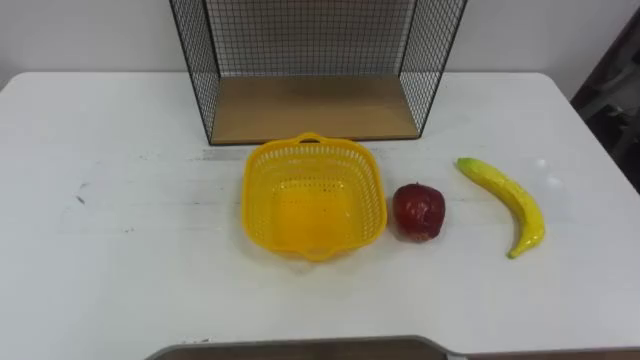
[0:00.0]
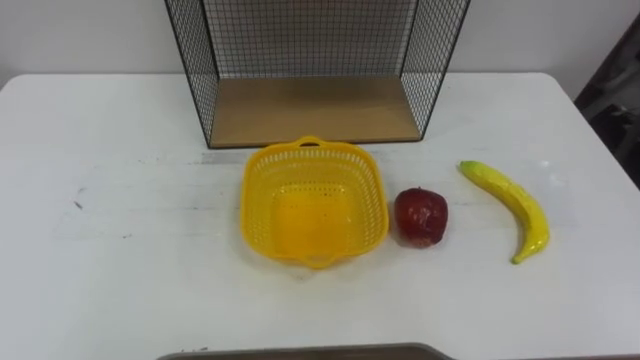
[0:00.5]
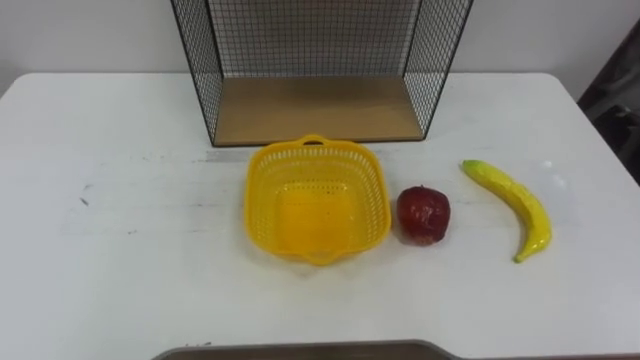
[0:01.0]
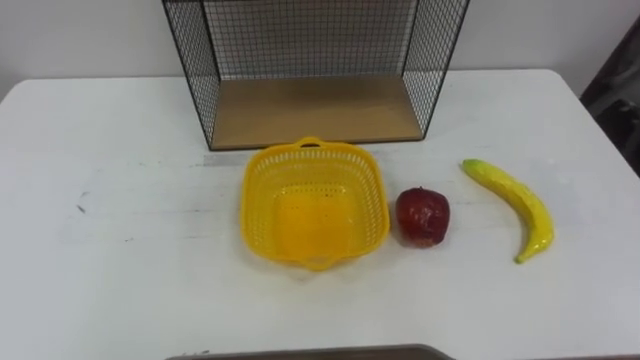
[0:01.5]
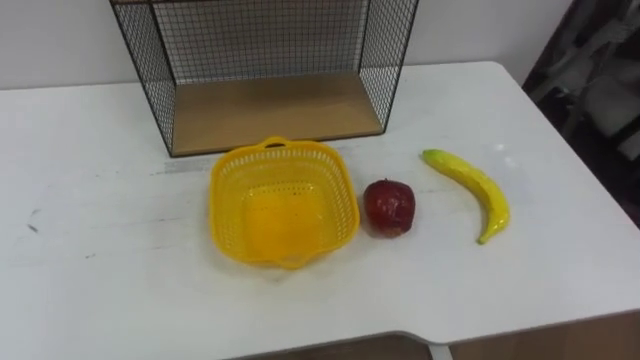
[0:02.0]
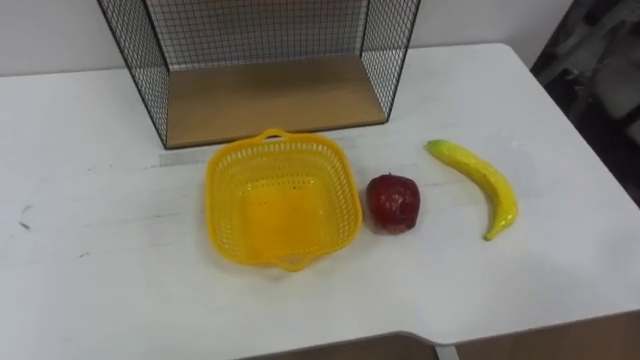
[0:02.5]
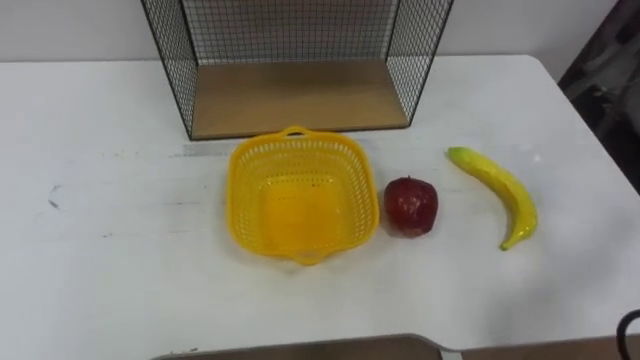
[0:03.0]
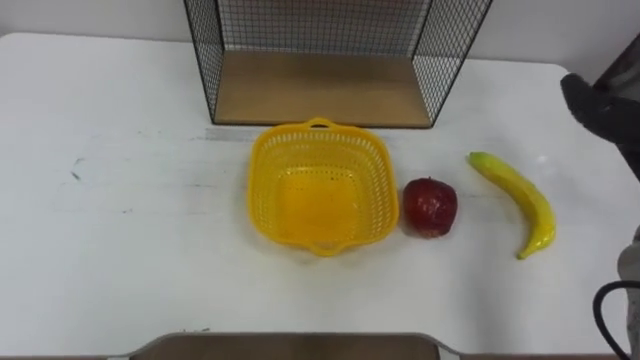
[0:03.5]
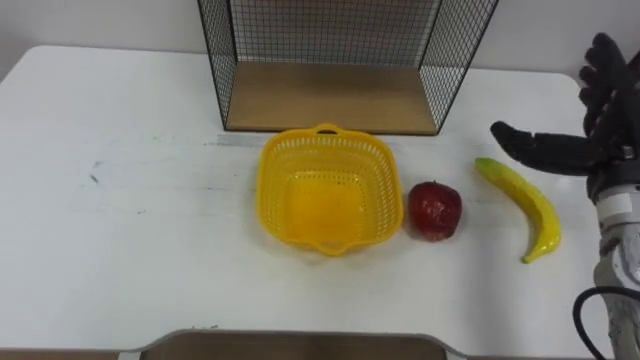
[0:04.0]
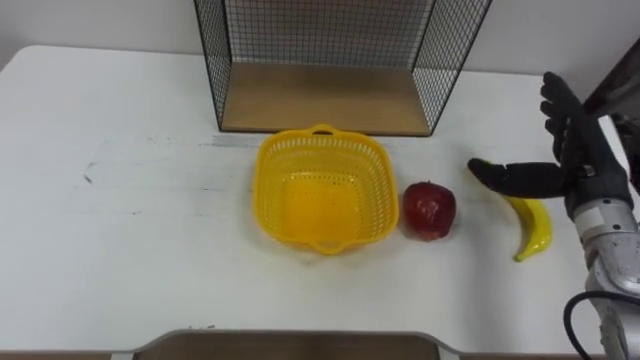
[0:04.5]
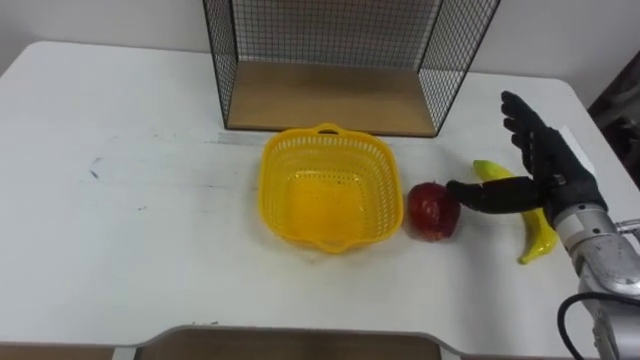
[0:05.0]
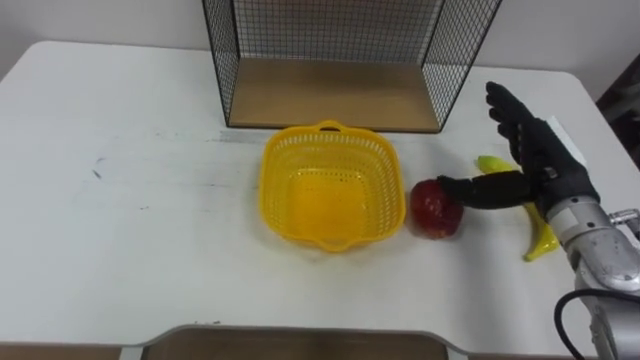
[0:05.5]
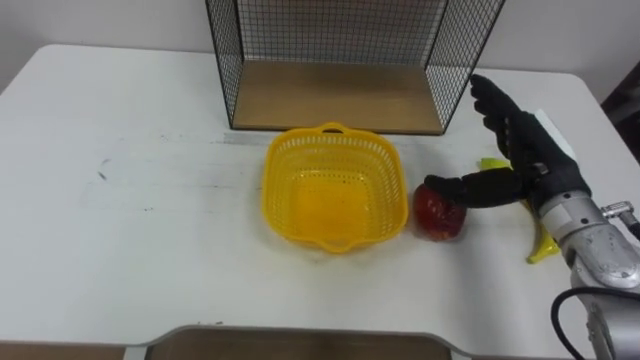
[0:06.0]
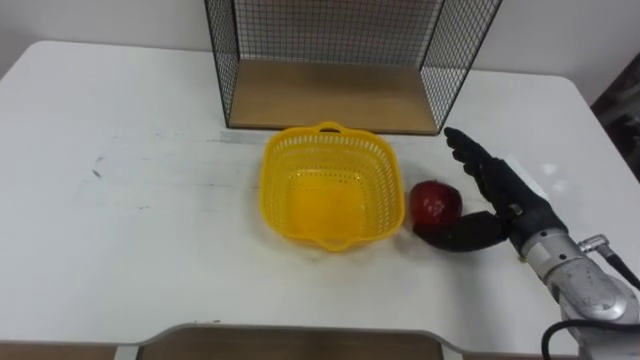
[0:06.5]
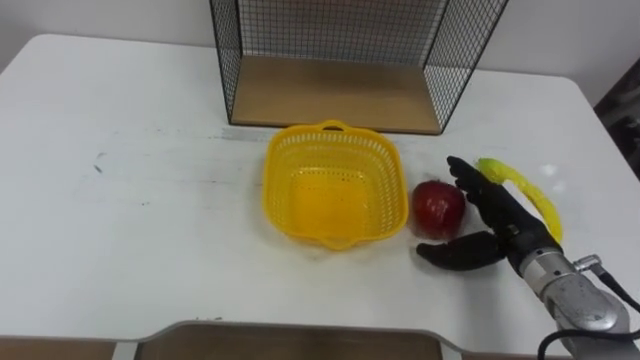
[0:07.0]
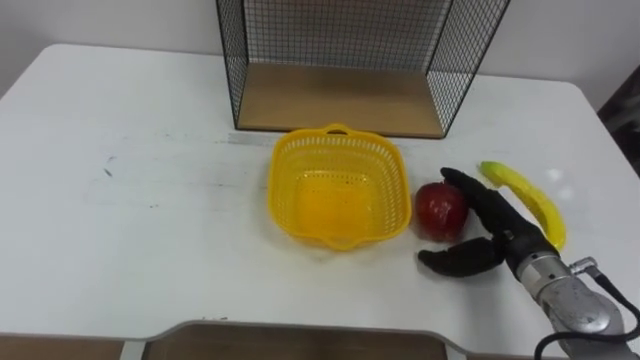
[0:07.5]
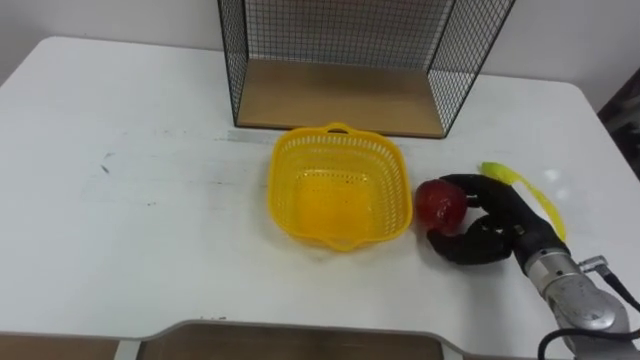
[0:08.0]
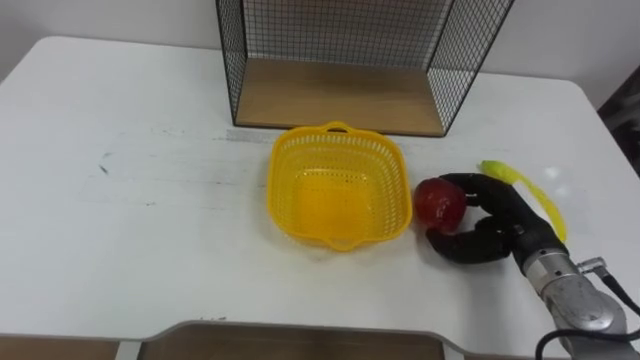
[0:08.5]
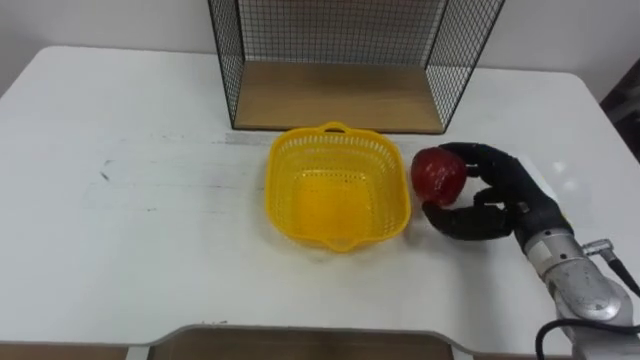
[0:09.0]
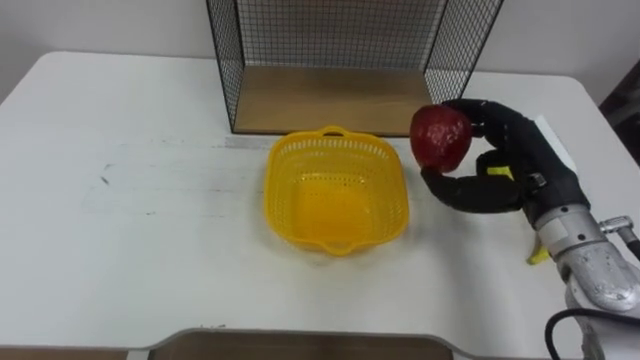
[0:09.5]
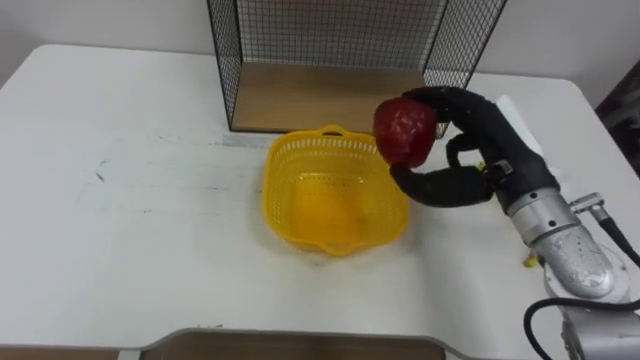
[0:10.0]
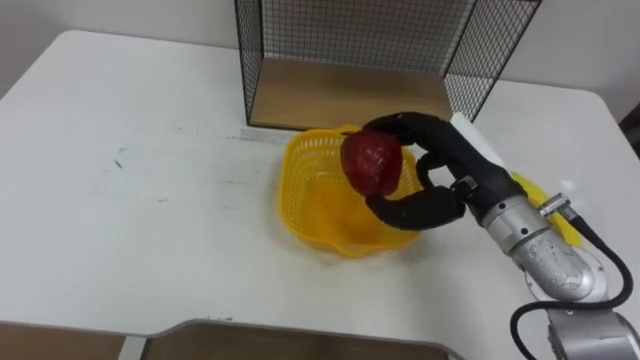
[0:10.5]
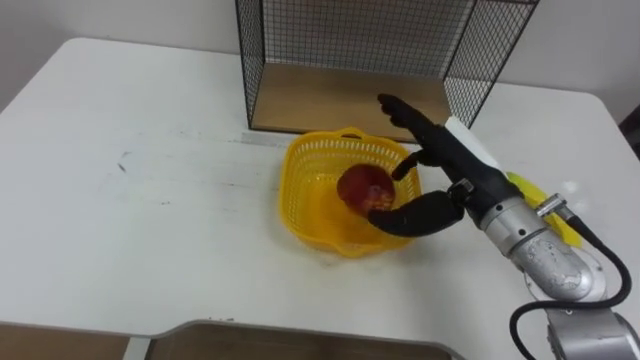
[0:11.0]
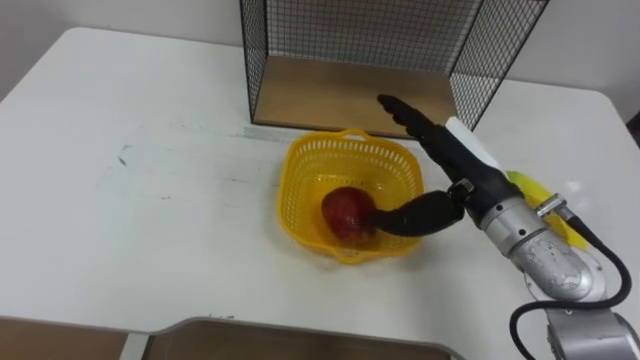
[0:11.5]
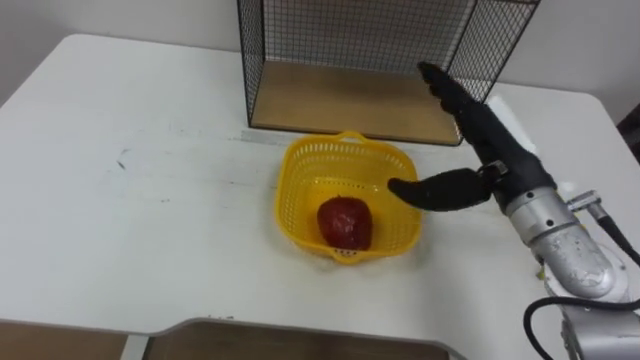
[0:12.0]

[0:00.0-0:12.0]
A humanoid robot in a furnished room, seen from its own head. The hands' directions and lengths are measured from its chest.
Task of the whole recording: Put the fruit on the table into the basket, then place the basket on the shelf.
0:04.0 to 0:06.0: The right hand moves to the left, some 5 cm.
0:06.0 to 0:08.0: The right hand travels downward by some 10 cm, and closes up.
0:08.0 to 0:10.0: The right hand travels upward and to the left by approximately 15 cm.
0:10.0 to 0:12.0: The right hand opens.

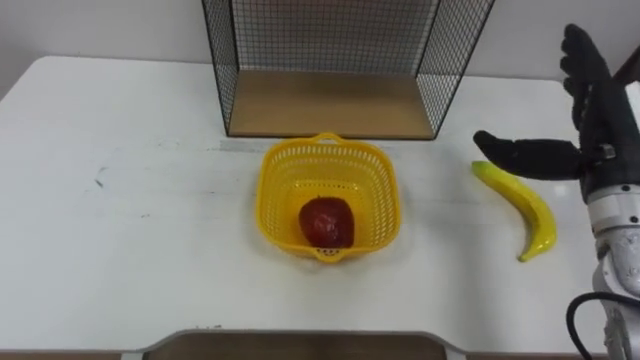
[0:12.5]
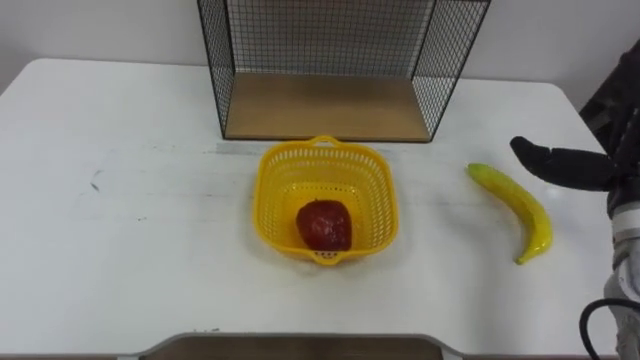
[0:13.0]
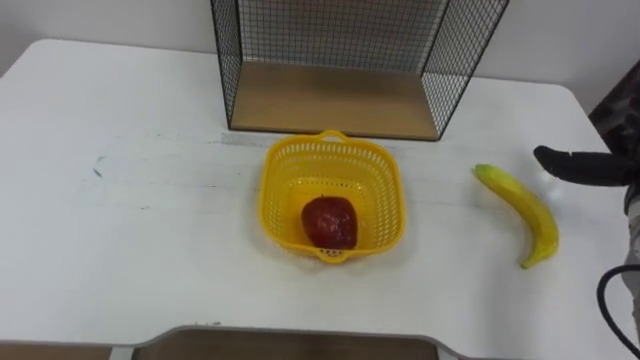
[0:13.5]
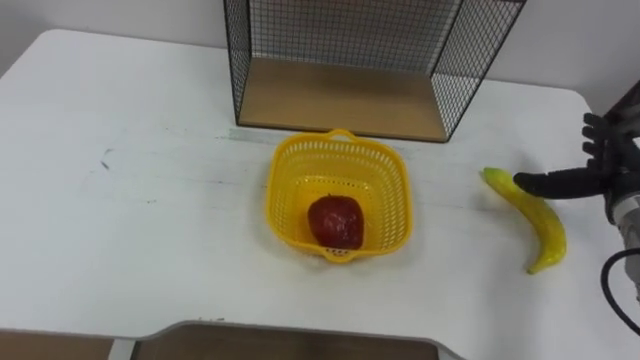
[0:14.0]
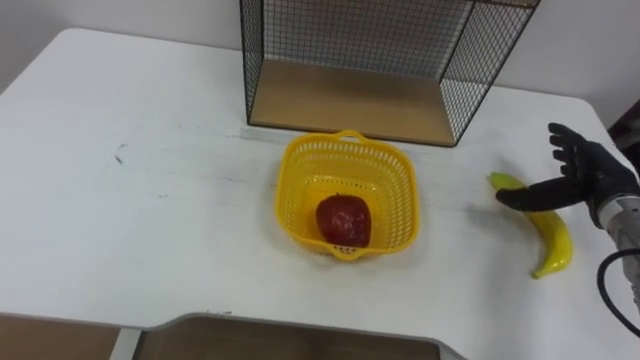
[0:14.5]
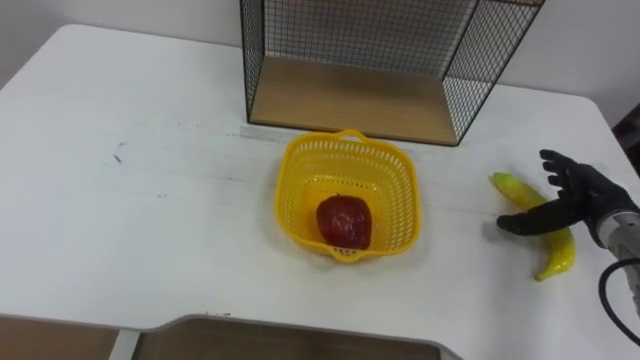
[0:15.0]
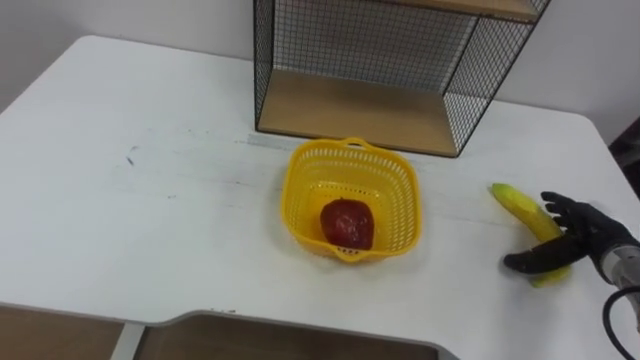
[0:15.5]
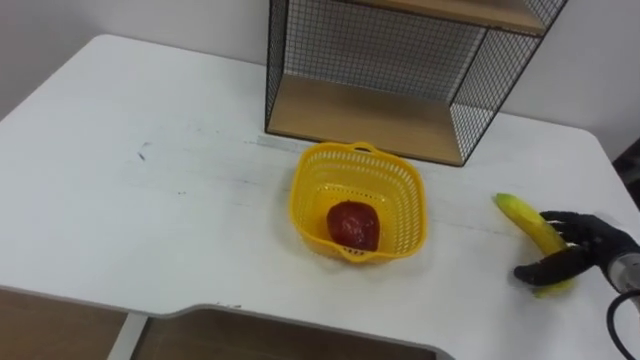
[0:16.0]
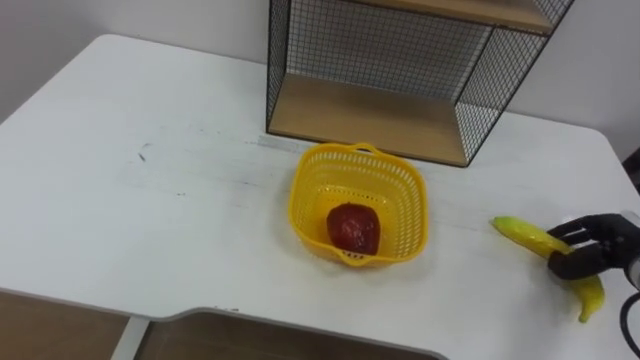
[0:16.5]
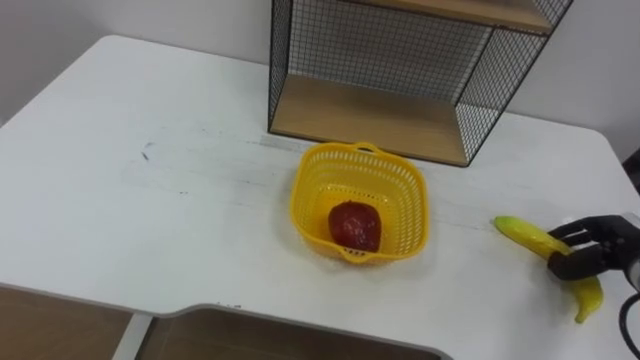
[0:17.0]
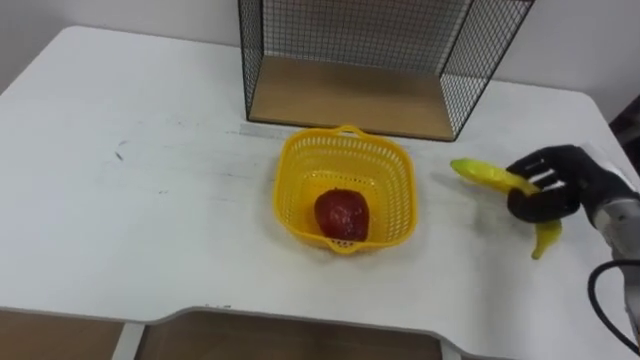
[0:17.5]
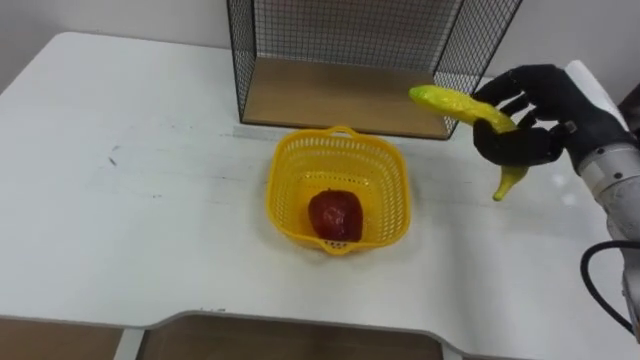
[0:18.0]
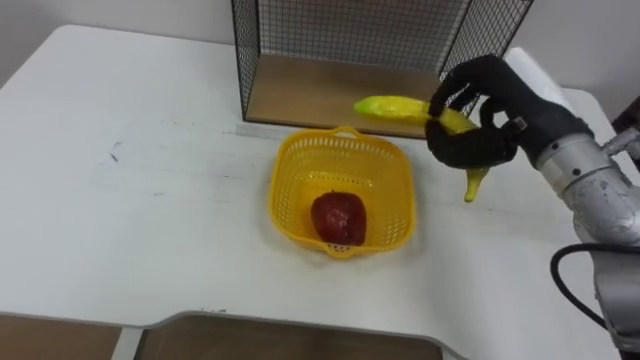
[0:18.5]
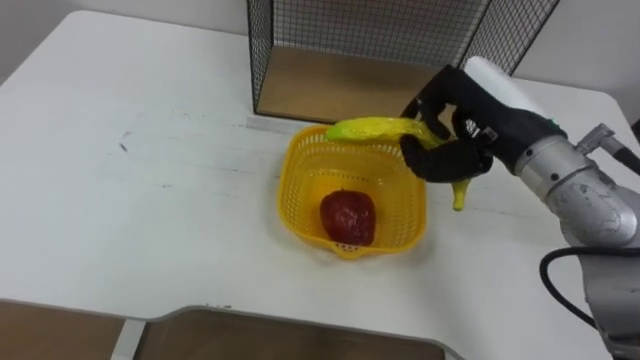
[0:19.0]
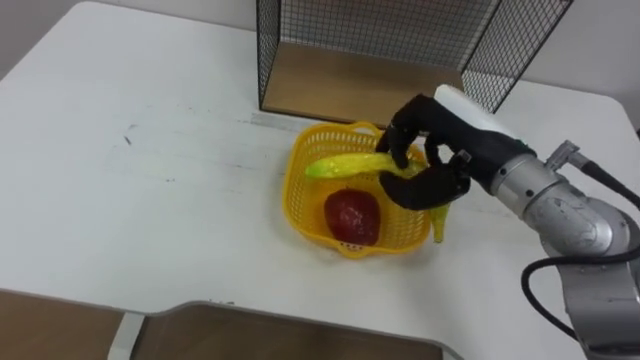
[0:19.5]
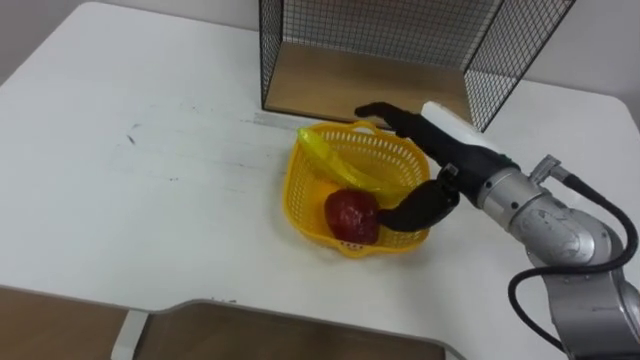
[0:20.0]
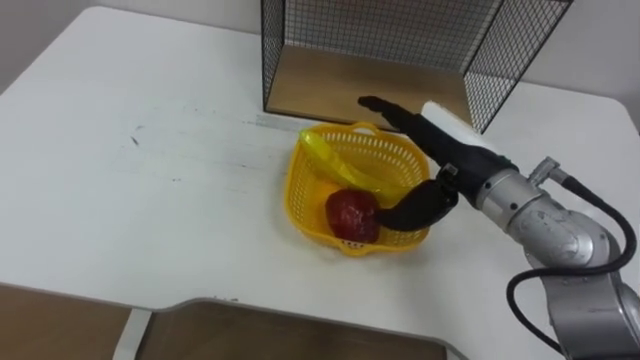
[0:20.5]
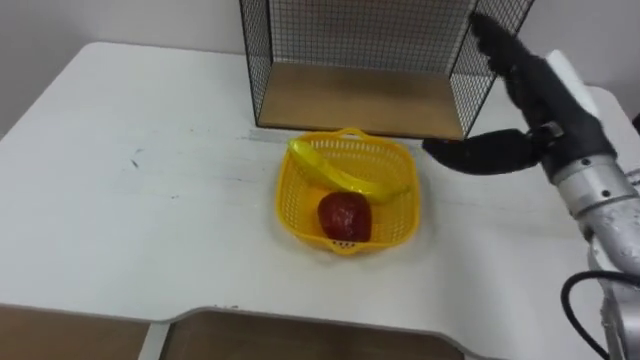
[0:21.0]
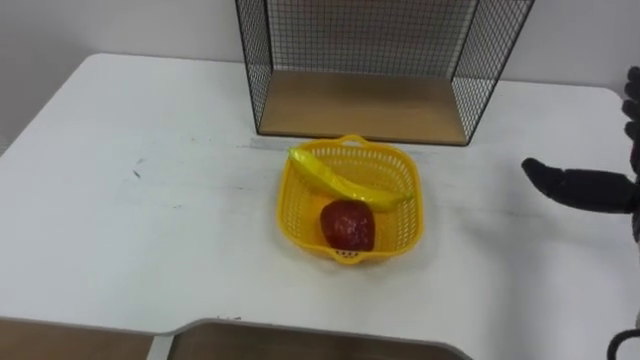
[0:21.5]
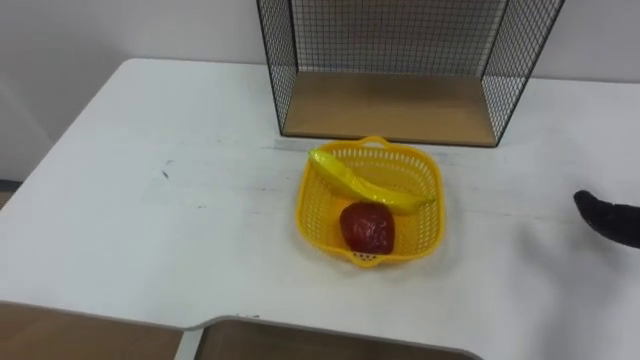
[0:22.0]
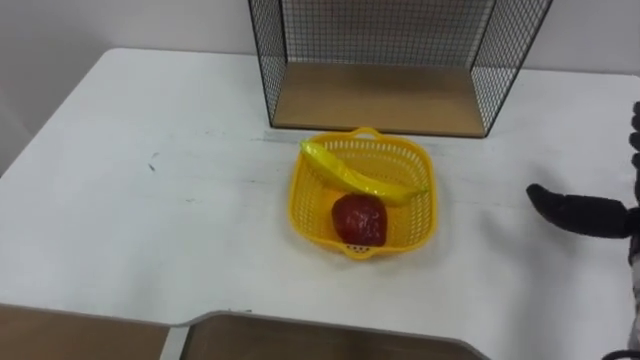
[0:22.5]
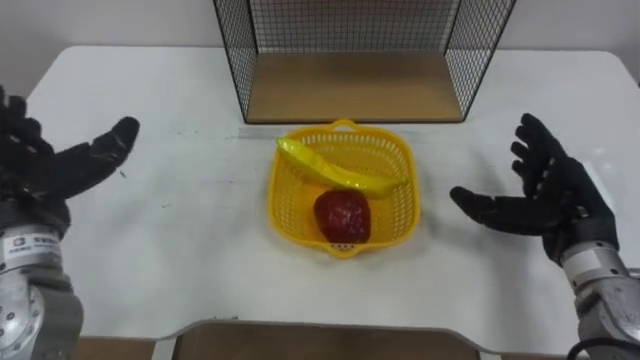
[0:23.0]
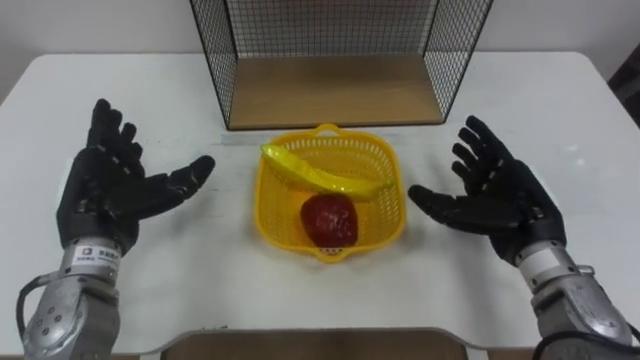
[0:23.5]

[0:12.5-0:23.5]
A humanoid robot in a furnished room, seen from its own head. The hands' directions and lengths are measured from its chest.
Task of the whole recording: Put the fruit on the table into the basket, then place the basket on the shelf.
0:14.5 to 0:16.0: The right hand travels downward and backward by roughly 10 cm.
0:16.0 to 0:18.0: The right hand travels upward and to the left by approximately 20 cm, and closes up.
0:18.0 to 0:20.0: The right hand travels to the left by approximately 15 cm, and opens its fingers.
